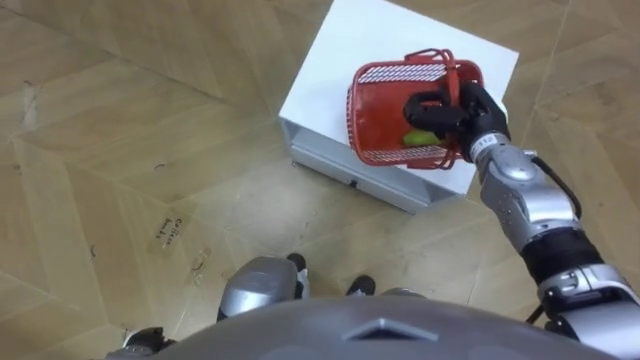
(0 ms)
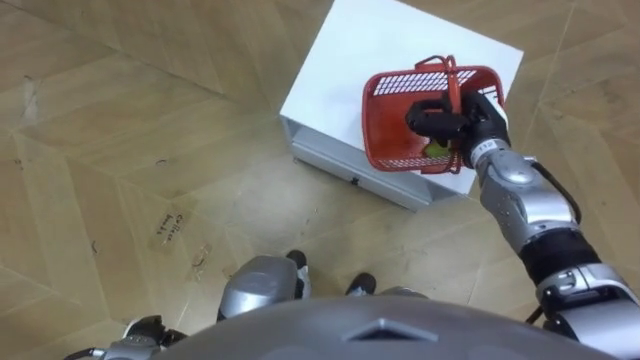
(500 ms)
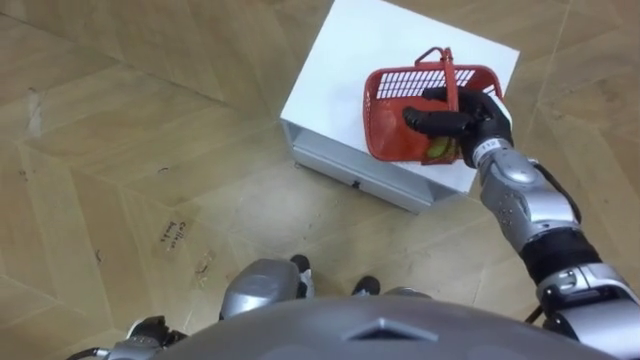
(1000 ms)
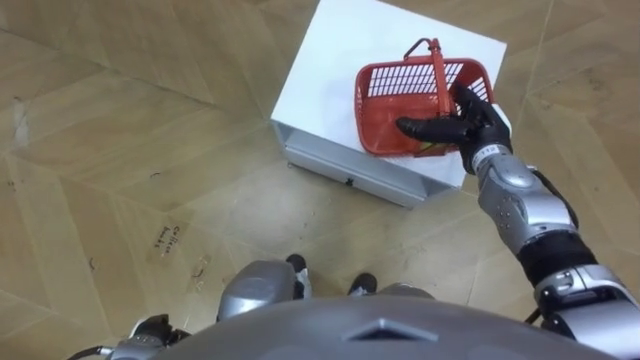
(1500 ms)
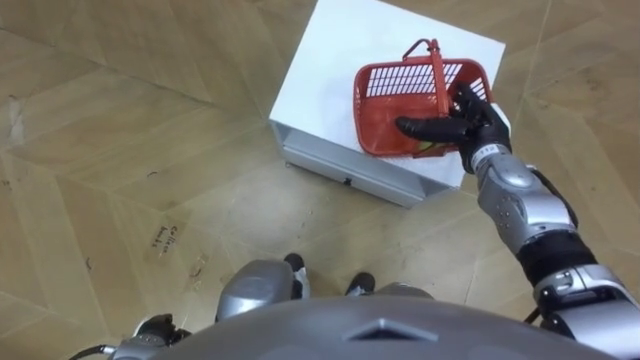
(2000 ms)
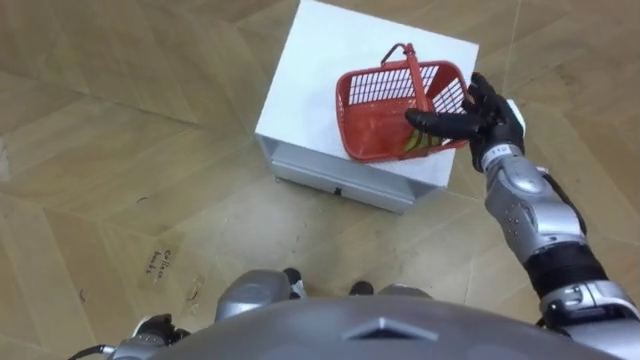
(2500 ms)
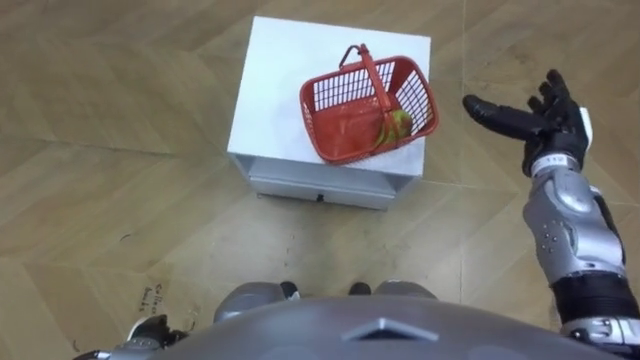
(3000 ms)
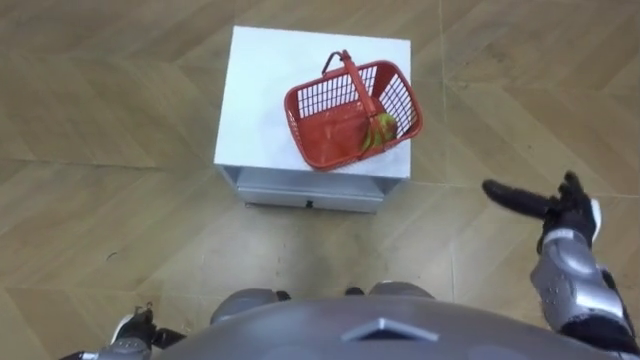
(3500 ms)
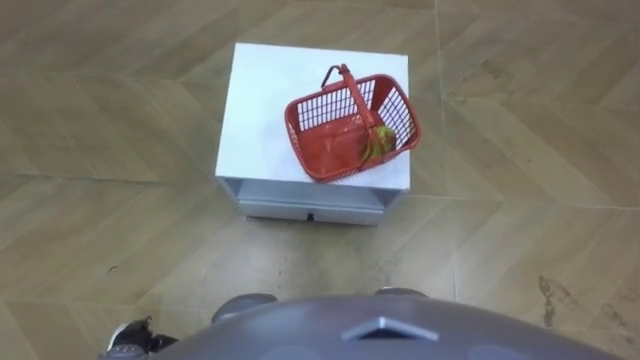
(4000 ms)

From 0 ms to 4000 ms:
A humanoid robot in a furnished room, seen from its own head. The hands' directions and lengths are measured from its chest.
Task of the whole recording: Pick up the fruit basket from the floor and place it on the cabinet.
From 0 ms to 2000 ms: The right hand opens up.

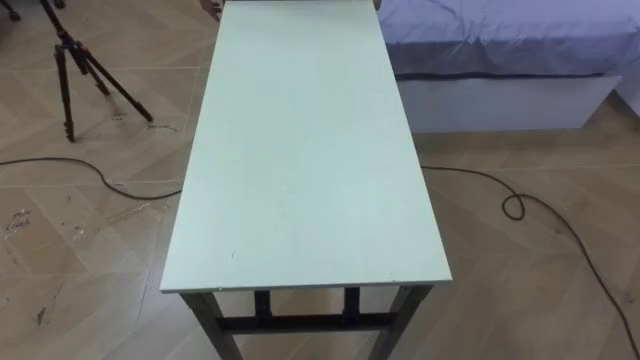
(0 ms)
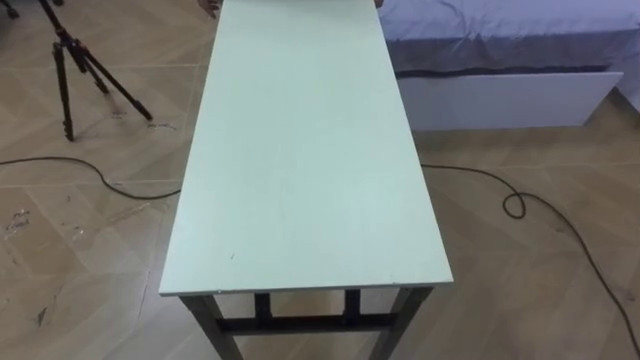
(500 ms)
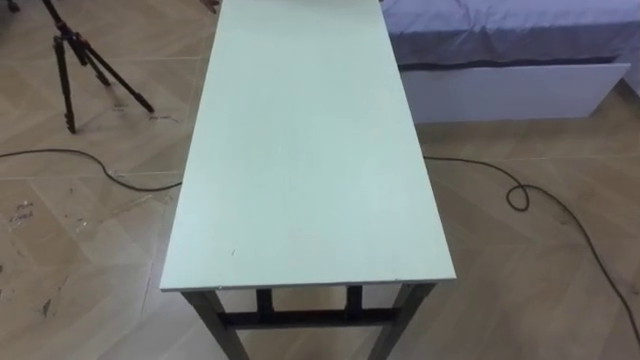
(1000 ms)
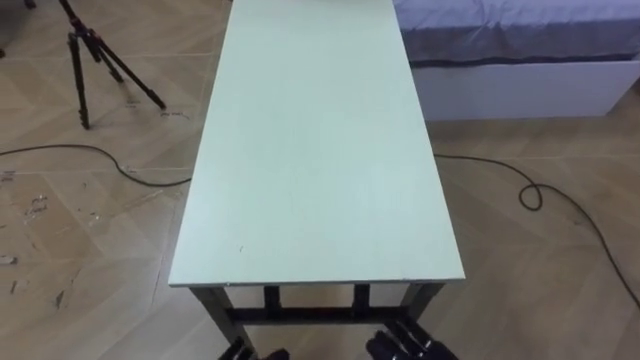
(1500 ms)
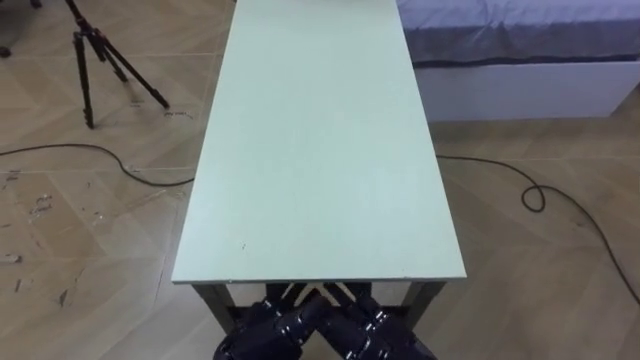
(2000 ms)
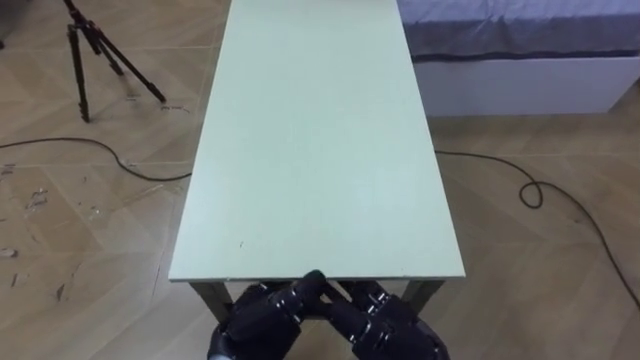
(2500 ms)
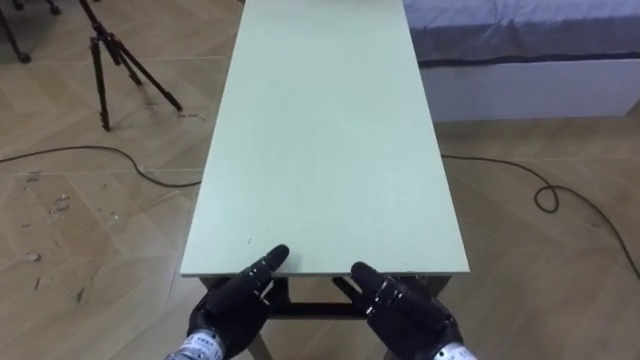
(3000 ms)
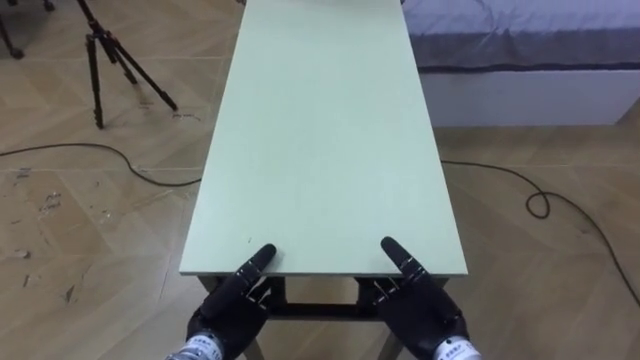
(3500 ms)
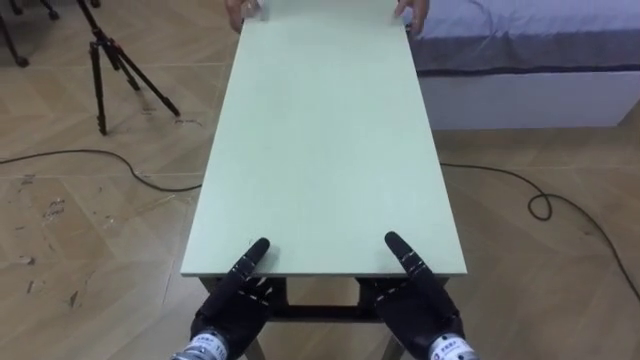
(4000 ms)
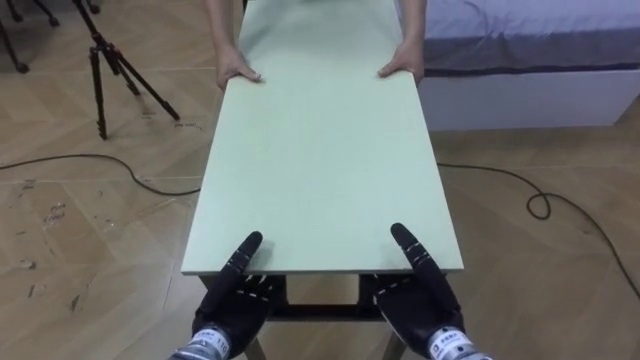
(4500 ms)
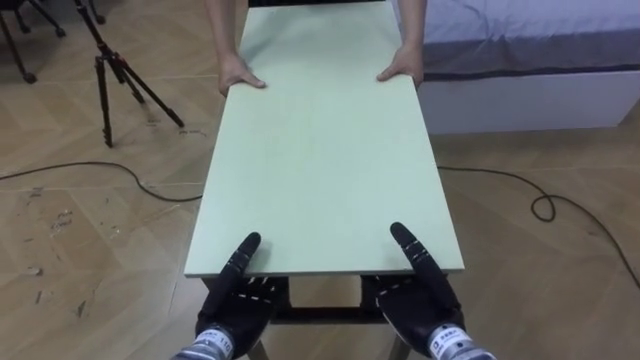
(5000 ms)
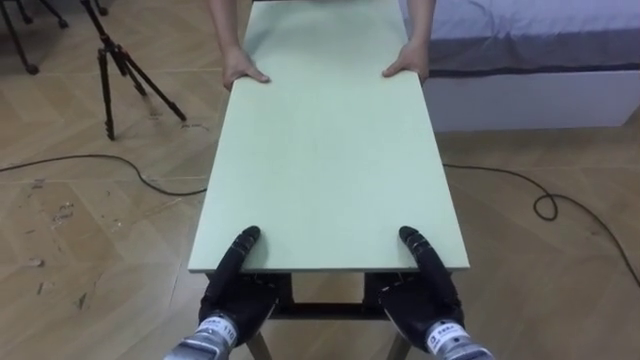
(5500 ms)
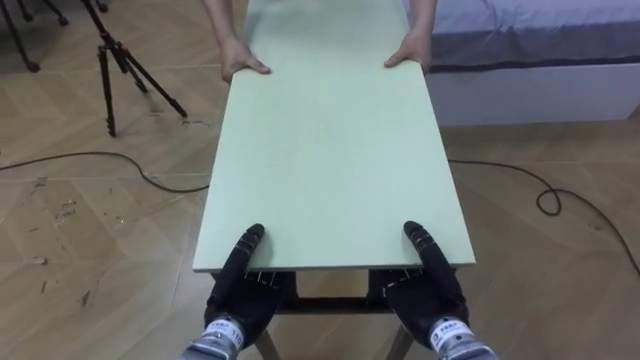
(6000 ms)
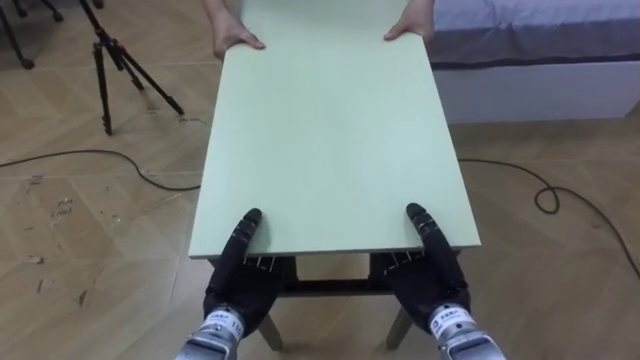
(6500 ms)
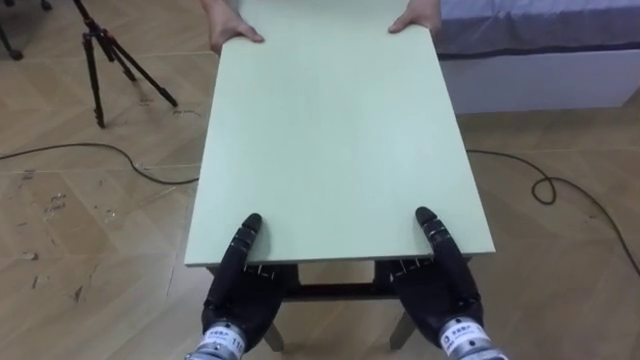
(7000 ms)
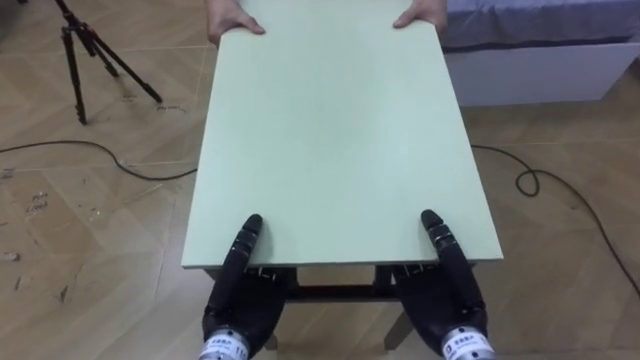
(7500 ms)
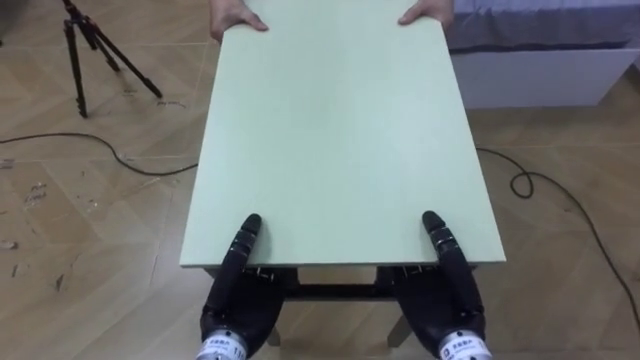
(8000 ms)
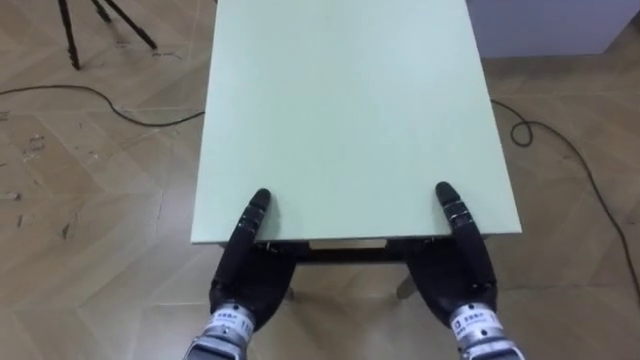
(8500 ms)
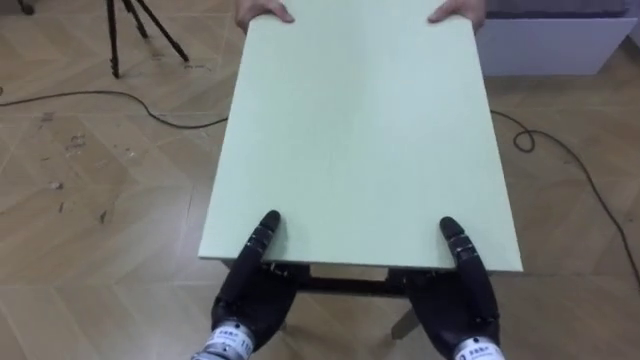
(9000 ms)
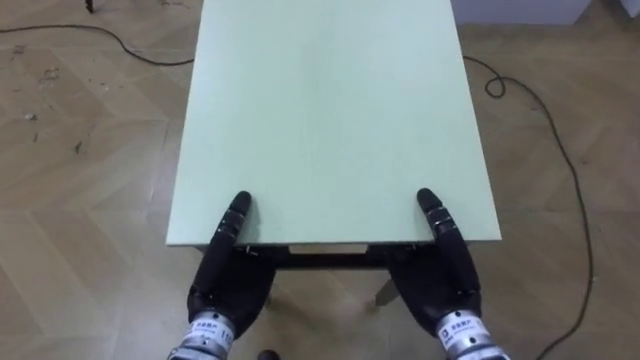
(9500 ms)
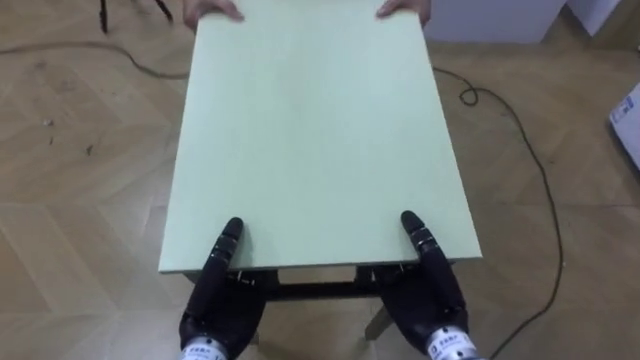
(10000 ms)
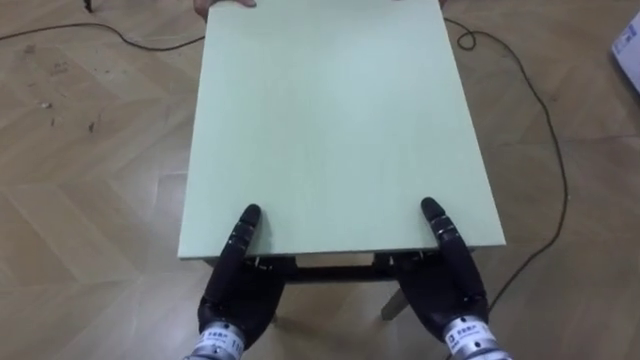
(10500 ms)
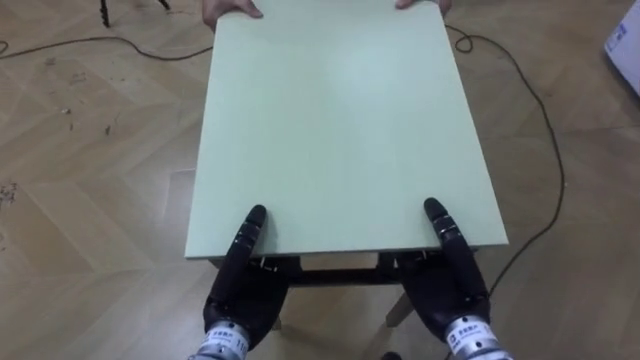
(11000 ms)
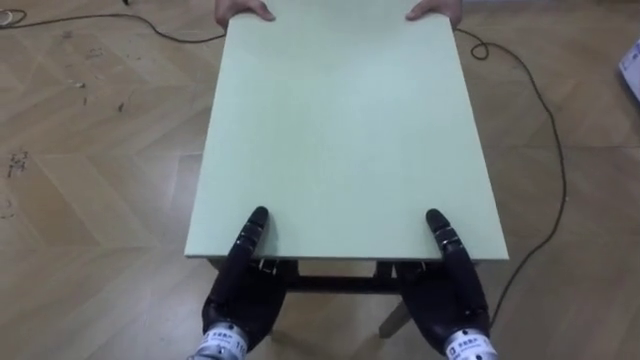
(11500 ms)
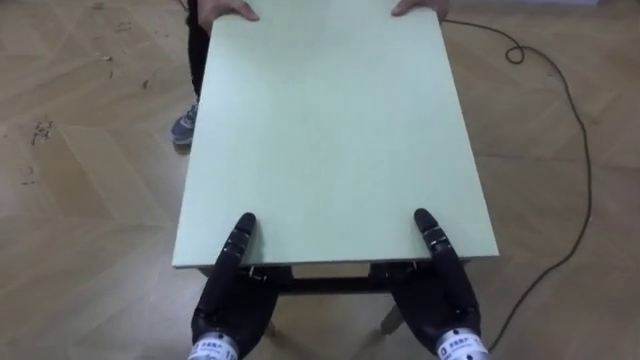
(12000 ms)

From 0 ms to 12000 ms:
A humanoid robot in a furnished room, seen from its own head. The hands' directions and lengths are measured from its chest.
Task of the whole recording: Move the table to the back left with someone.
From 2000 ms to 4000 ms: The left hand ends up approximately 10 cm from where it was; the right hand moves forward, about 5 cm.
From 4000 ms to 6000 ms: The left hand closes up; the right hand closes.
From 6000 ms to 8000 ms: The left hand goes approximately 5 cm upward; the right hand changes place by about 5 cm.

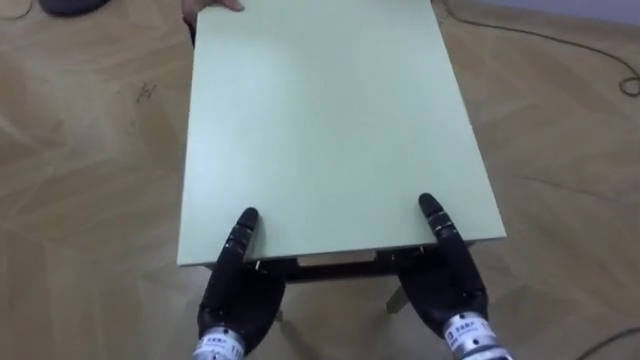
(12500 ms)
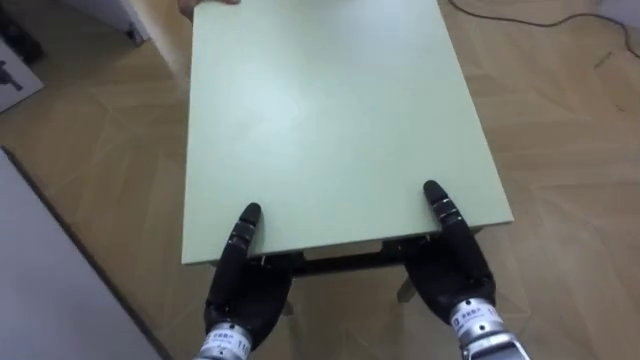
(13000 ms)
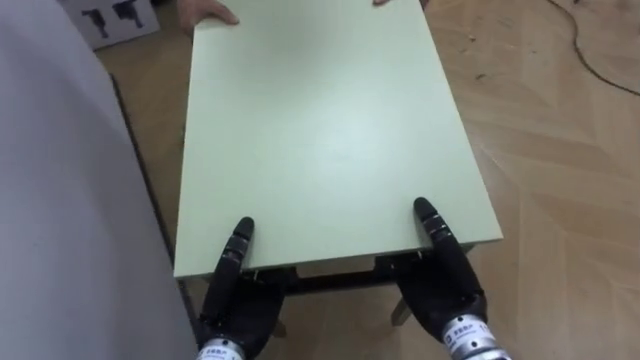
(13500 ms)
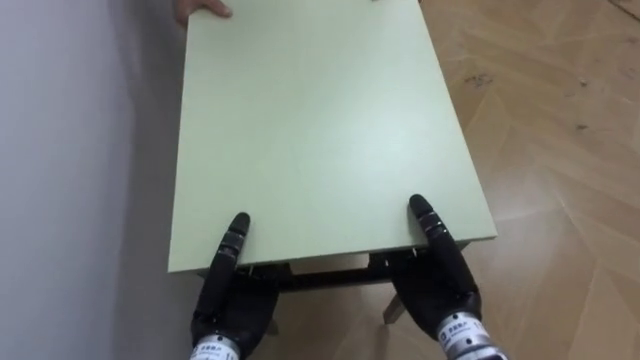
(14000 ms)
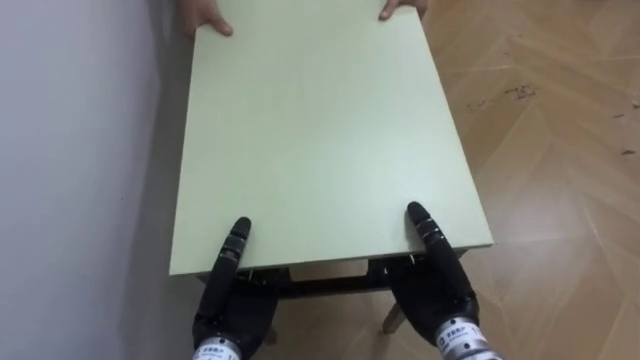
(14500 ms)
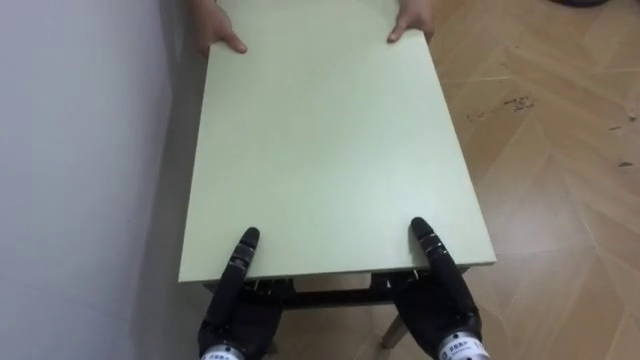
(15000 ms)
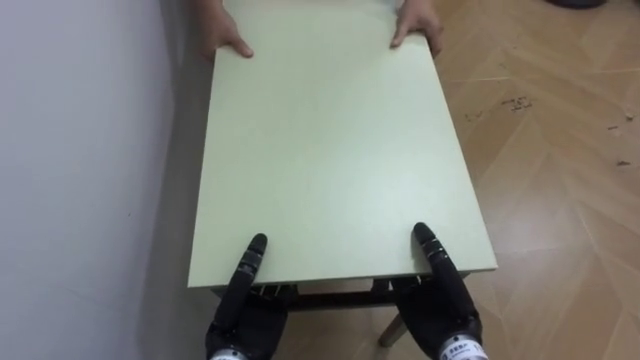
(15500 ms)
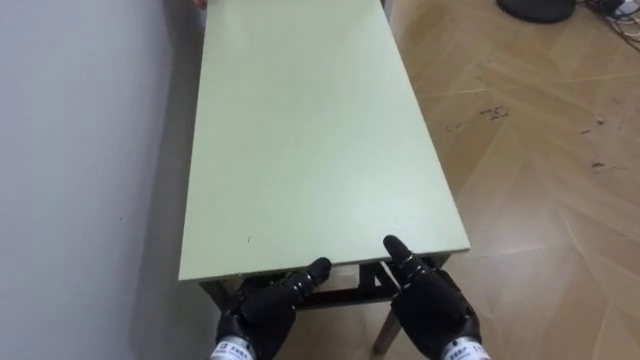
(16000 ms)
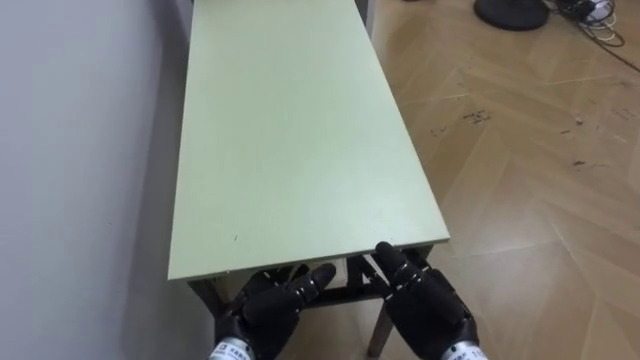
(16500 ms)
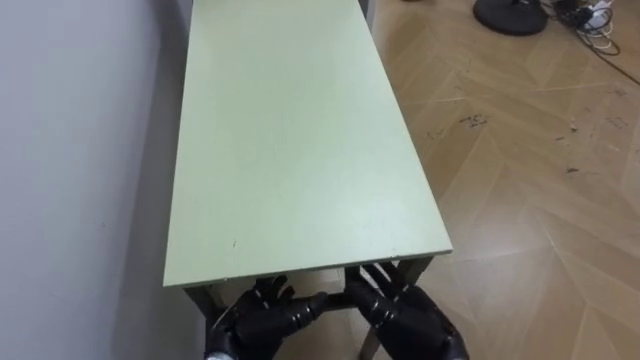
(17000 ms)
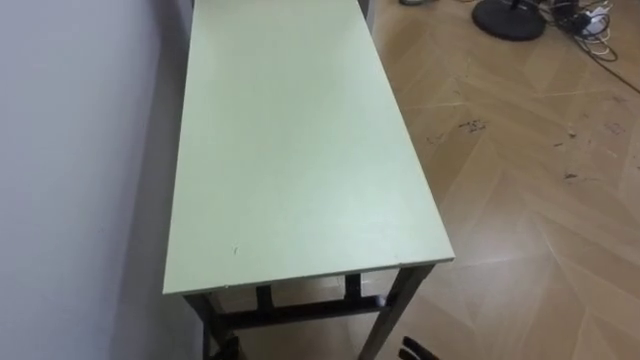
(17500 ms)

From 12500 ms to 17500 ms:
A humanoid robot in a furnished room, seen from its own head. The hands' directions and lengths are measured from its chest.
Task of the whole recording: Move the table to the back left with someone.
From 12500 ms to 15000 ms: The robot faces some 70 degrees further to its left.
